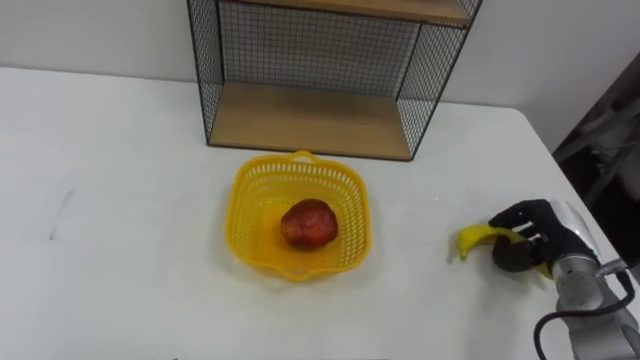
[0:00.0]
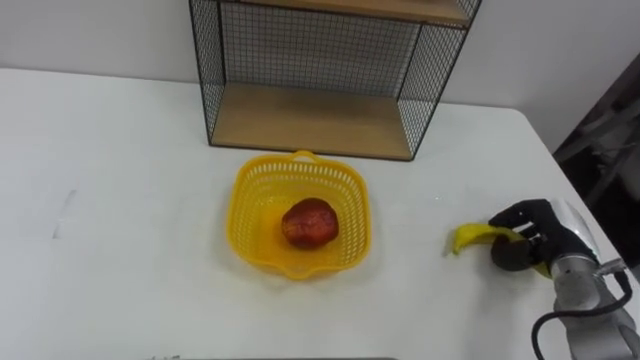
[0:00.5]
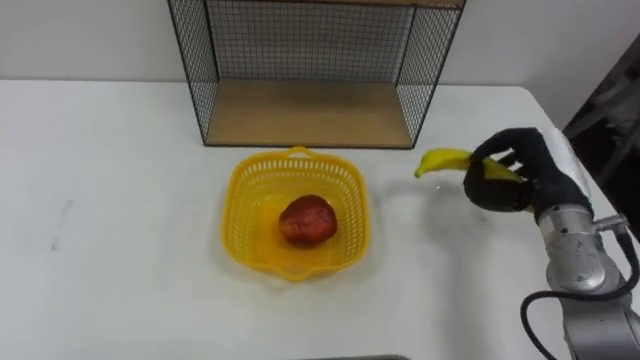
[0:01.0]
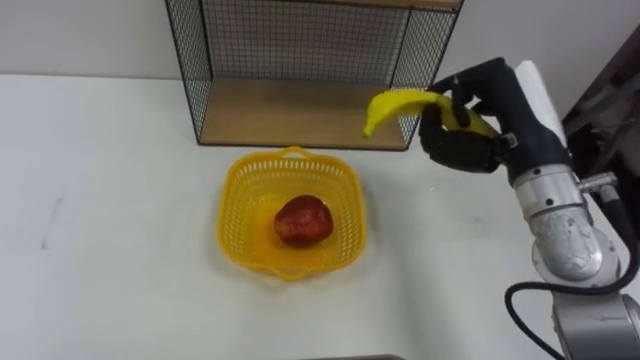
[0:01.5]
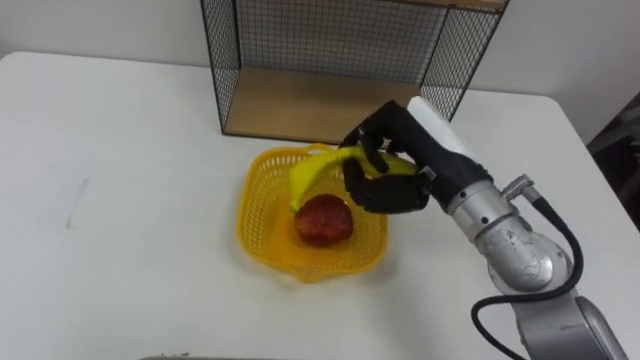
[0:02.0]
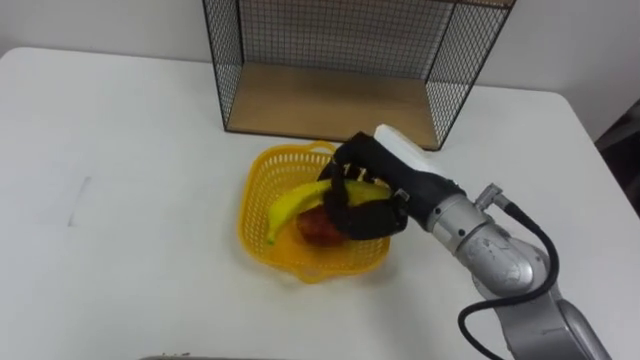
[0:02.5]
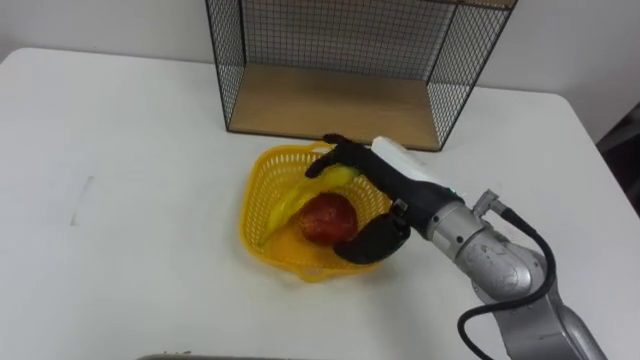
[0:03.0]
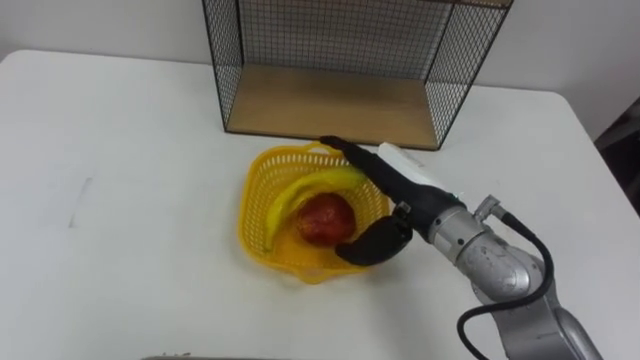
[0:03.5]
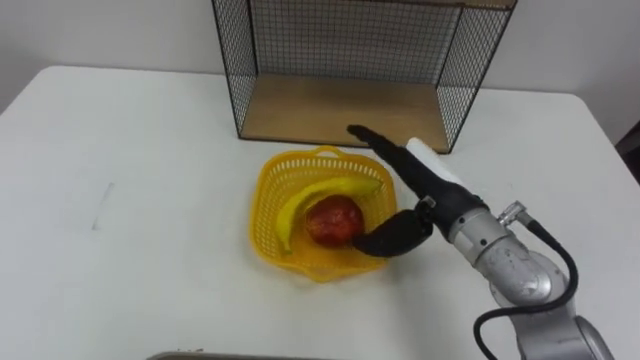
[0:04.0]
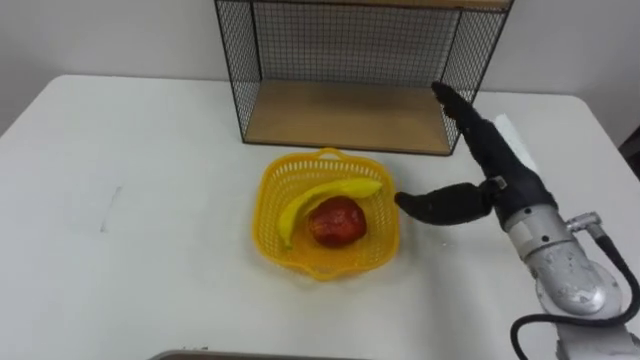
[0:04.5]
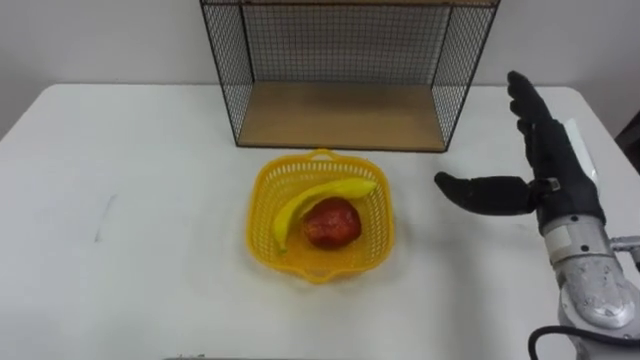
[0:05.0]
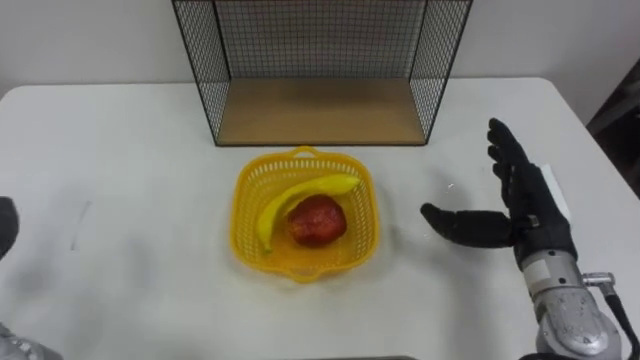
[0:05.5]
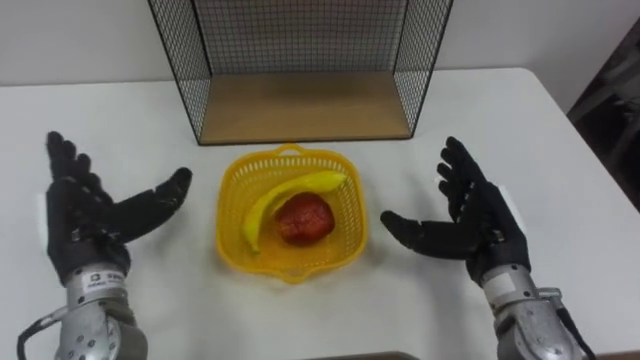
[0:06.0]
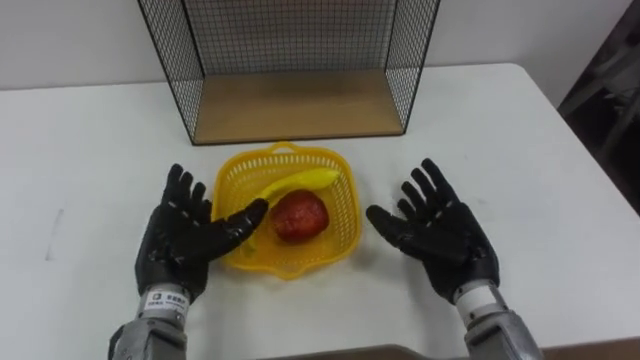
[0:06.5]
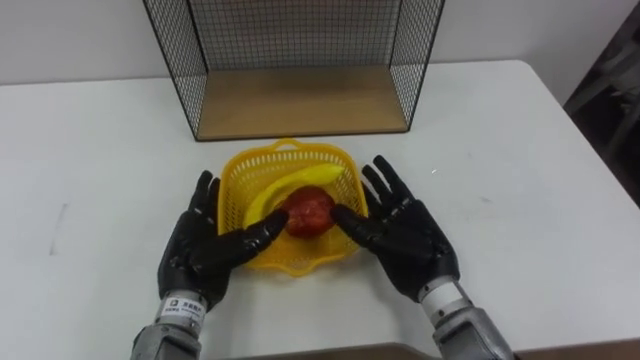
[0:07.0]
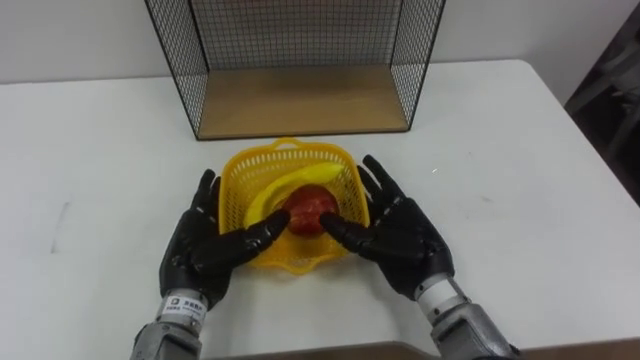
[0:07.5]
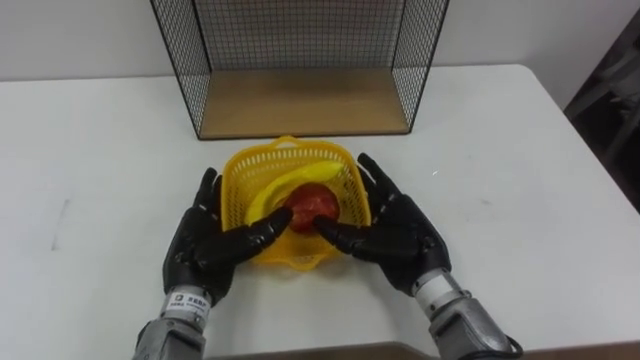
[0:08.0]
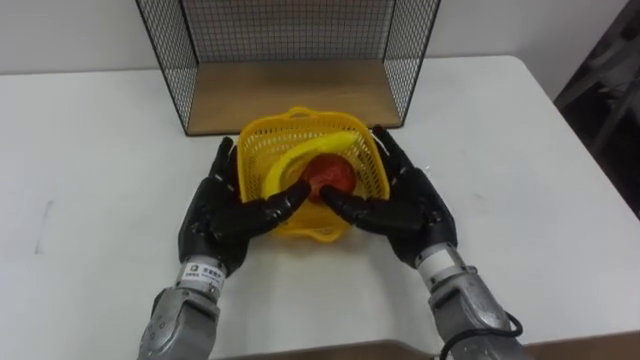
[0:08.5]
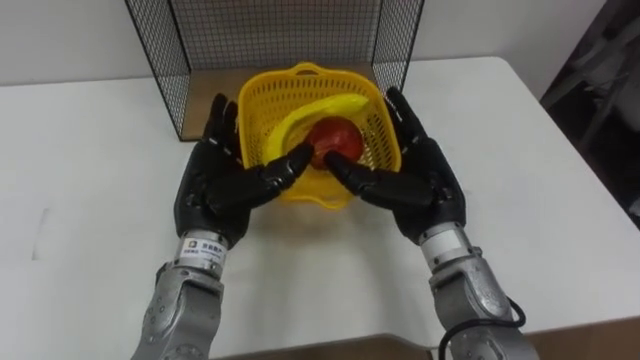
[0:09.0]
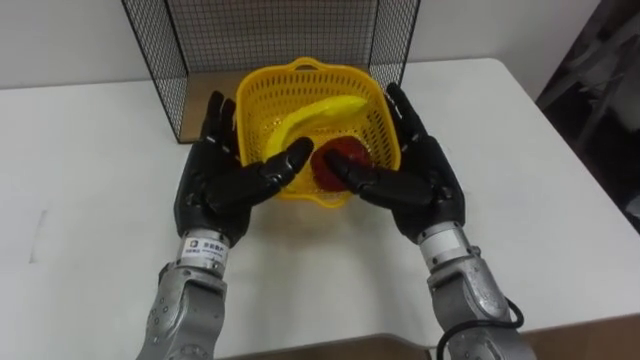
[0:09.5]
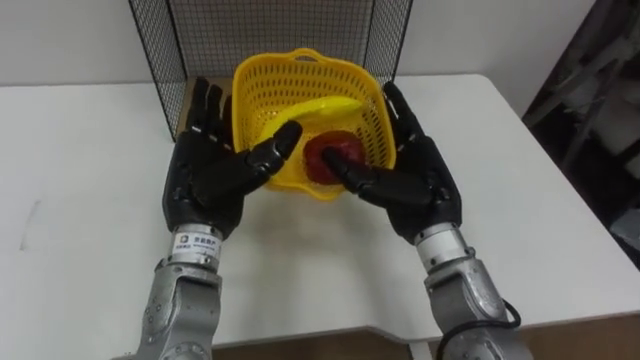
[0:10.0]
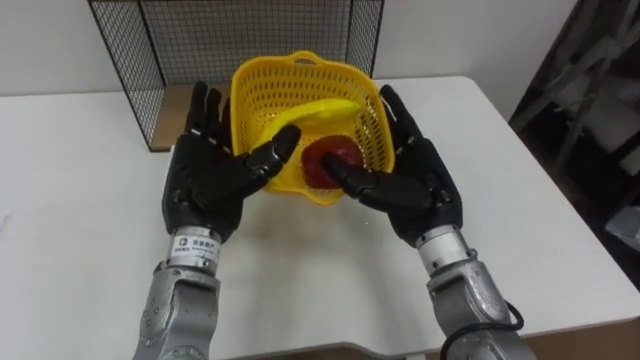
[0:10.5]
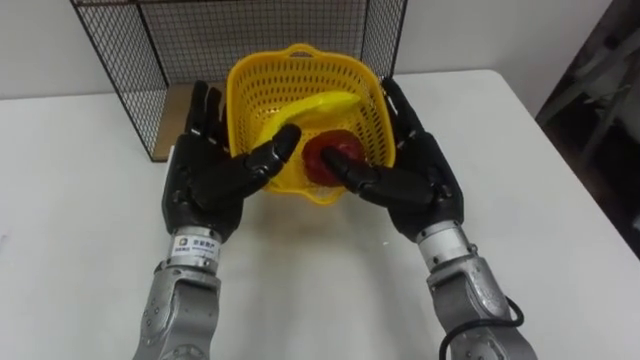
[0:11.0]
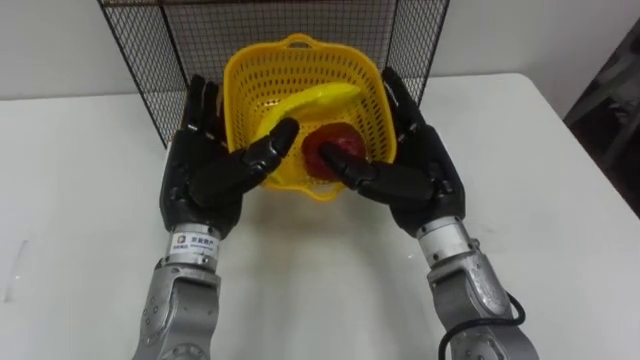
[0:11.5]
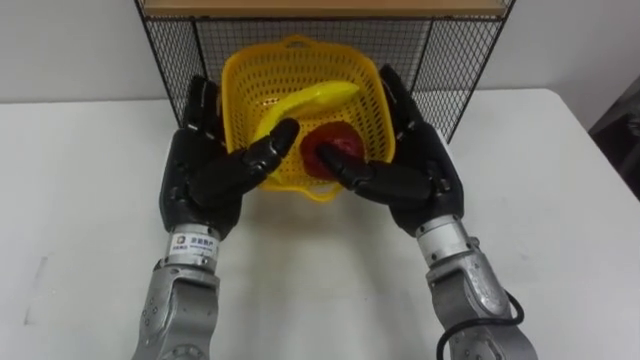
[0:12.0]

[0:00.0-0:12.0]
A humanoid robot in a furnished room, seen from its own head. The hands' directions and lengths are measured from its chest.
Task of the whole recording: Put the fruit on the table into the basket, then place the basket on the shelf.
0:00.0 to 0:02.0: The right hand is displaced to the left and upward by approximately 25 cm.
0:02.0 to 0:04.0: The right hand opens its fingers.
0:04.0 to 0:06.0: The right hand moves to the right and downward, some 10 cm.
0:06.0 to 0:08.0: The right hand goes roughly 10 cm to the left, while the left hand travels to the right and downward by approximately 15 cm.
0:08.0 to 0:10.0: Both hands travel together upward, roughly 10 cm.

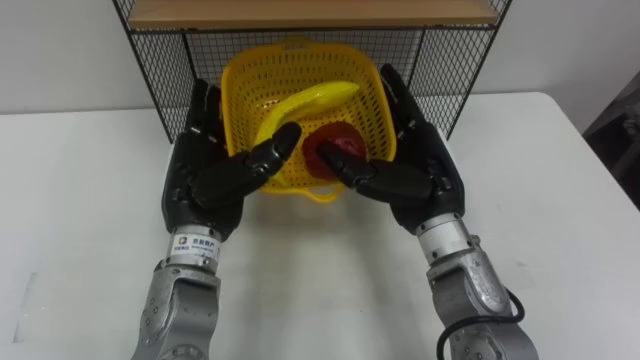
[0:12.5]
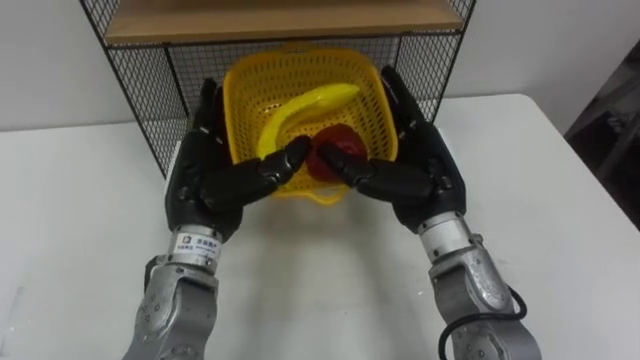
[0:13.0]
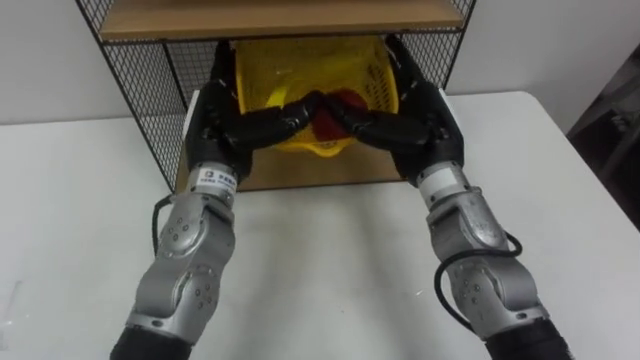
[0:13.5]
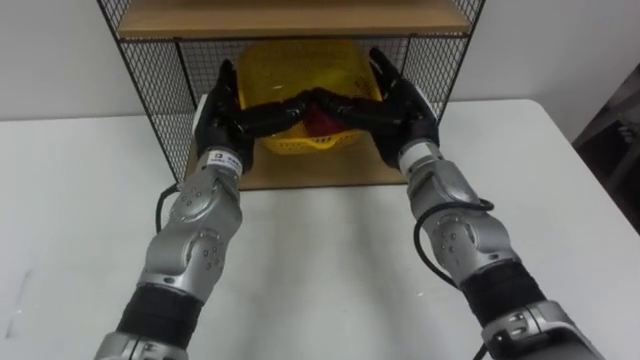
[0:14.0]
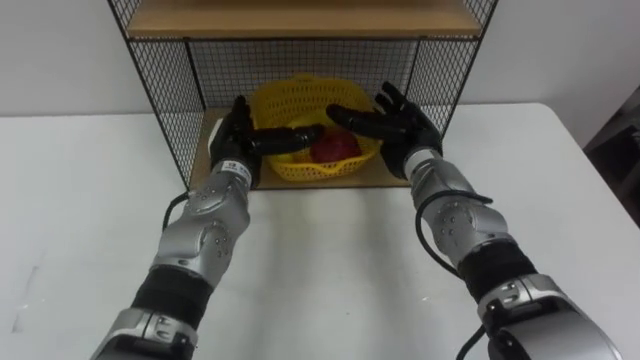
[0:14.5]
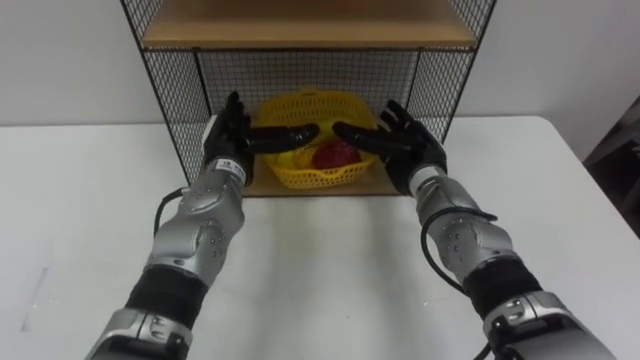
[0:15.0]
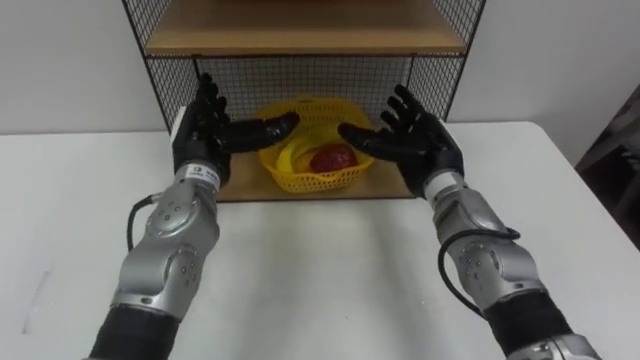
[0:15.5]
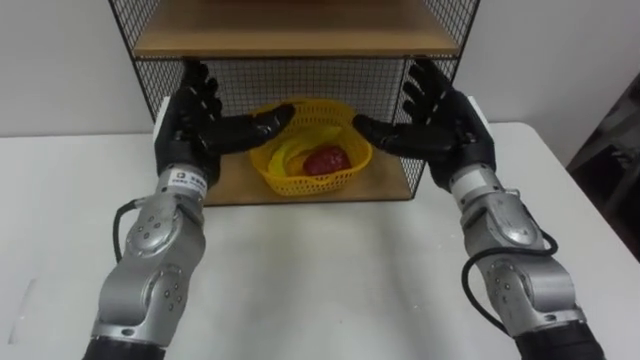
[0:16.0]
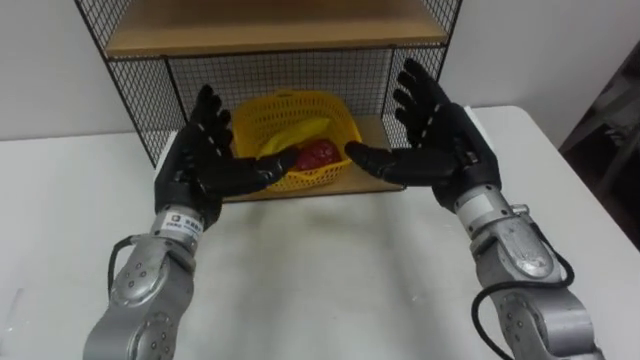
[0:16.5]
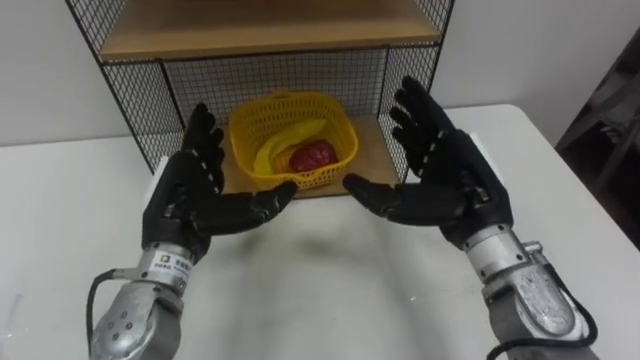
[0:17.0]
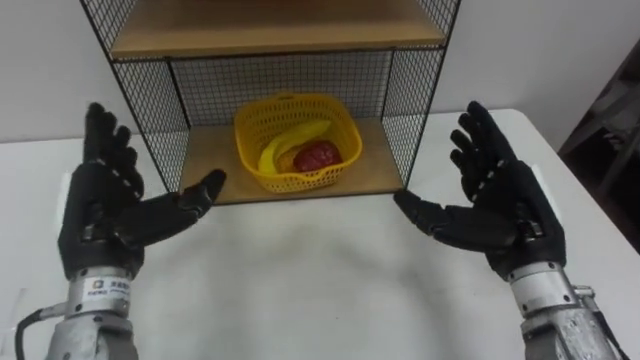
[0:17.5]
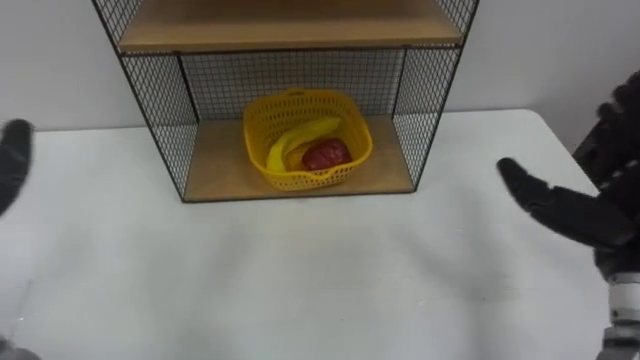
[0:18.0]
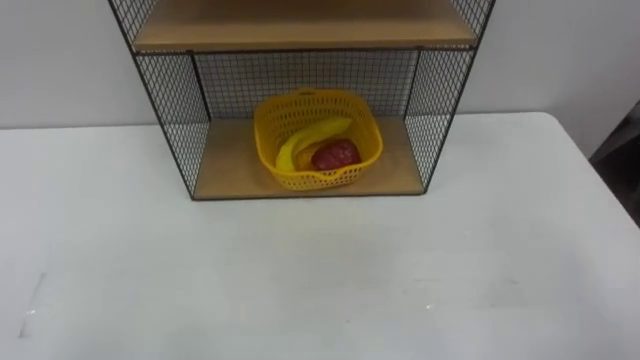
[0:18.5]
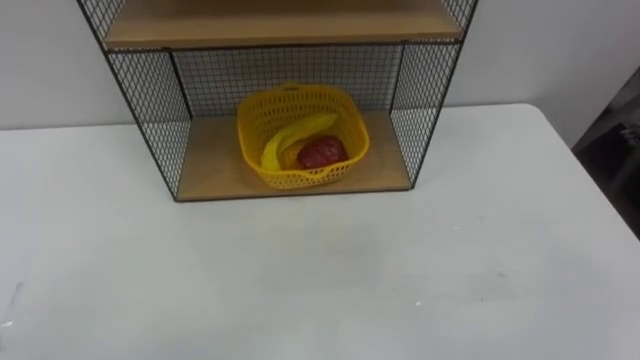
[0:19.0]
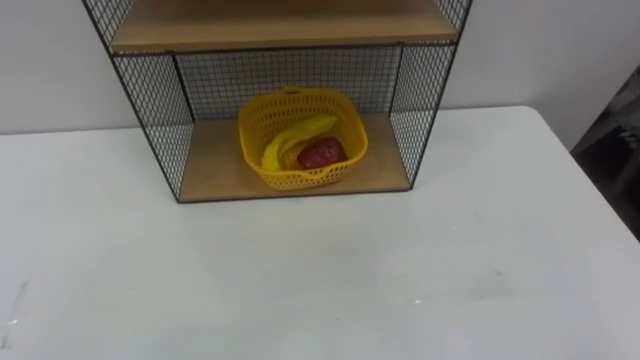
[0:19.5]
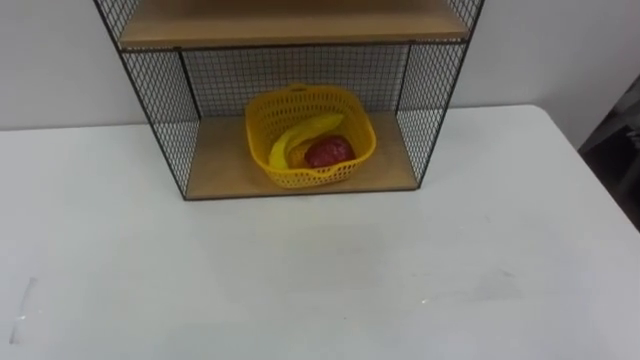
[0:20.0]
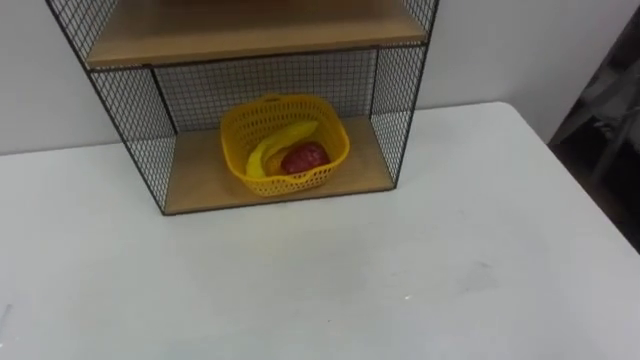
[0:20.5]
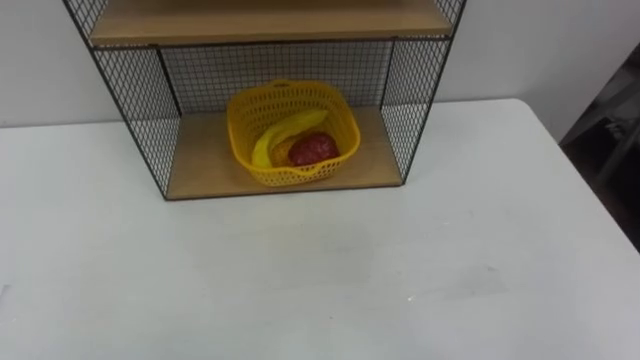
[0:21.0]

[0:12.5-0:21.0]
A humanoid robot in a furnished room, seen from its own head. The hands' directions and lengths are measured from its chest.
Task of the whole recording: Put the fruit on the table into the basket, then place the basket on the shelf.
0:12.5 to 0:14.5: Both hands travel together forward and downward, some 10 cm.
0:14.5 to 0:16.5: The right hand travels backward and upward by some 10 cm. Meanwhile the left hand goes about 5 cm backward.
